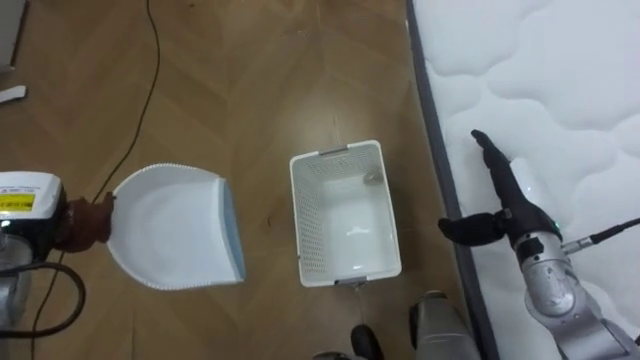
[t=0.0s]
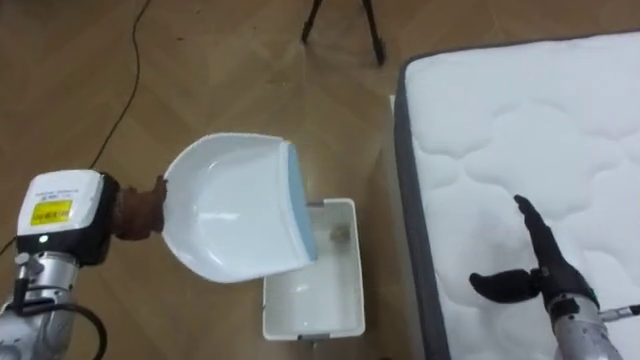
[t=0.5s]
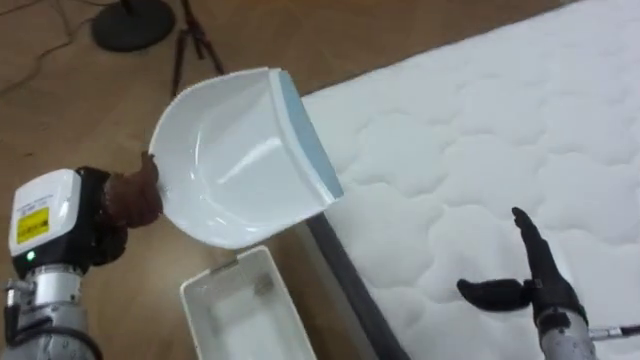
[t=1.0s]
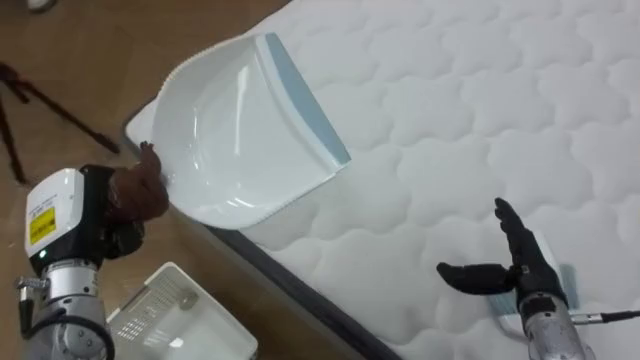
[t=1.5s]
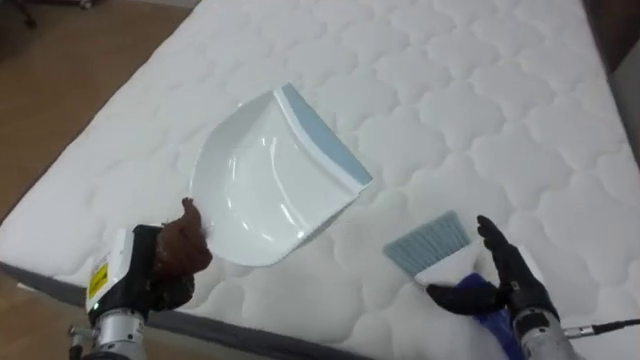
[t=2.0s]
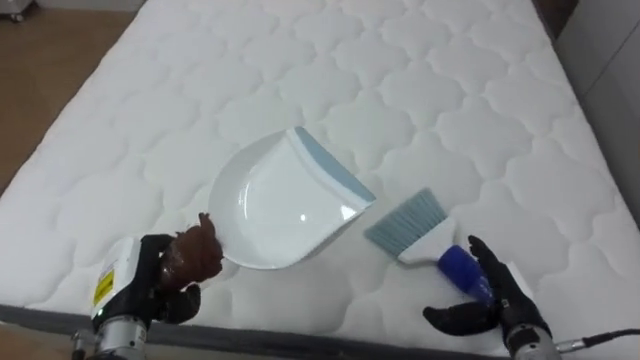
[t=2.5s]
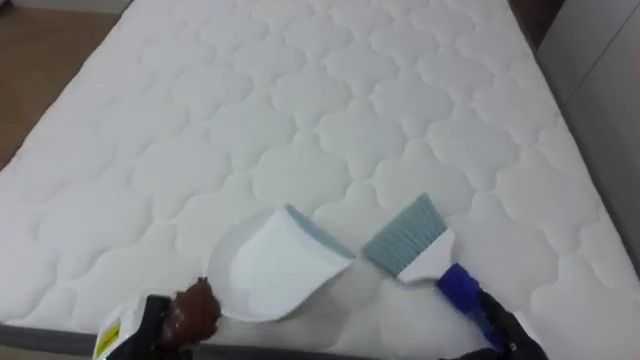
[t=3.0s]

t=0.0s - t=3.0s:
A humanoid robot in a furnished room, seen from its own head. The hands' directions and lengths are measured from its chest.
Task of the whole recording: Pick up the brush on your right and the dustpan on your left. Use the brush to sweep the crumpled paper on the bed into the dustpan, then turn left and empty it into the basket.
t=0.0s - t=1.5s: The robot rotates roughly 60 degrees to its right. The right hand is displaced backward and downward by approximately 10 cm. The left hand travels to the right by about 10 cm.
t=1.5s - t=3.0s: The robot turns to its right by about 30 degrees. The hands both shift downward and backward by some 15 cm.

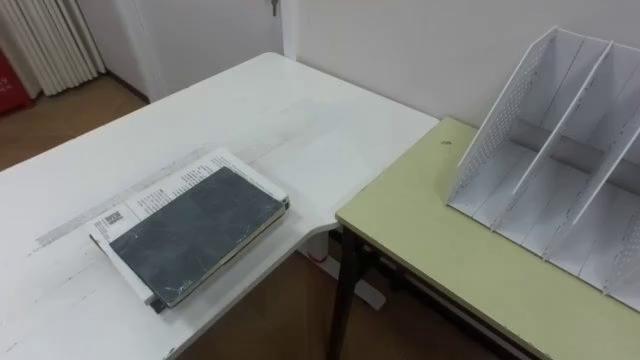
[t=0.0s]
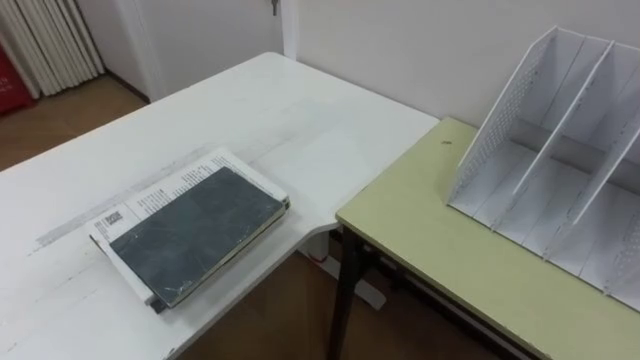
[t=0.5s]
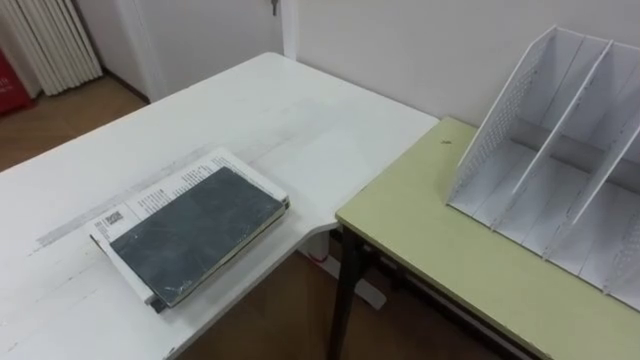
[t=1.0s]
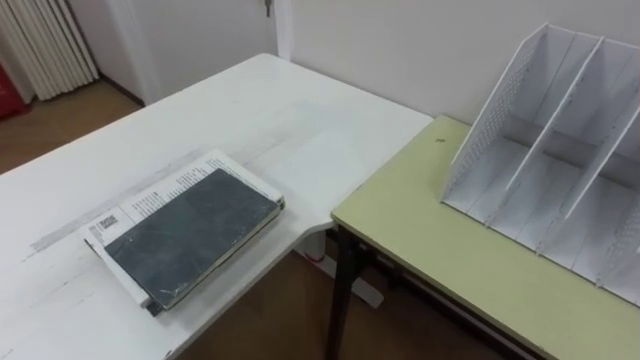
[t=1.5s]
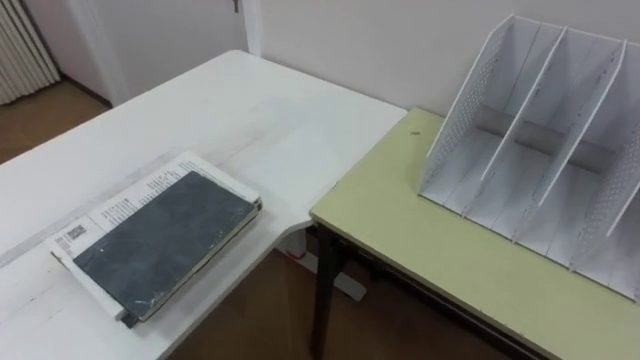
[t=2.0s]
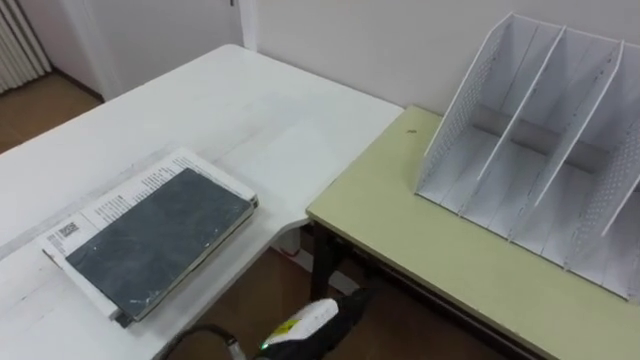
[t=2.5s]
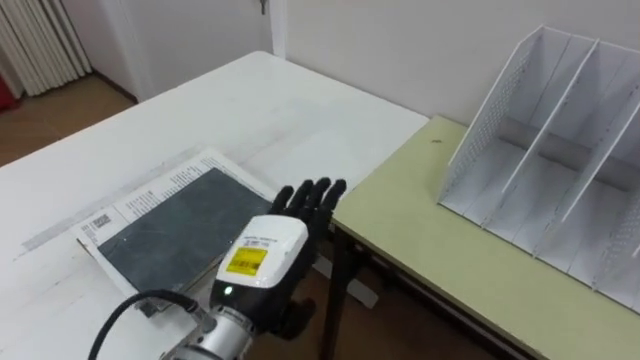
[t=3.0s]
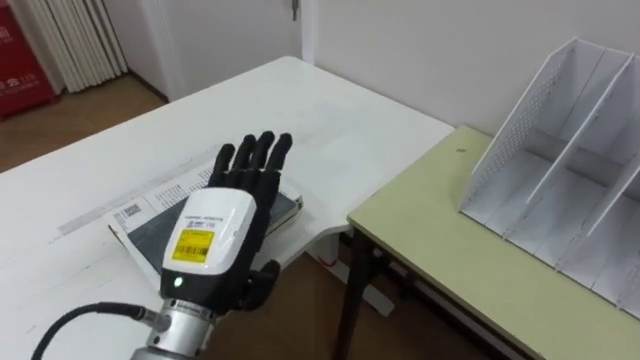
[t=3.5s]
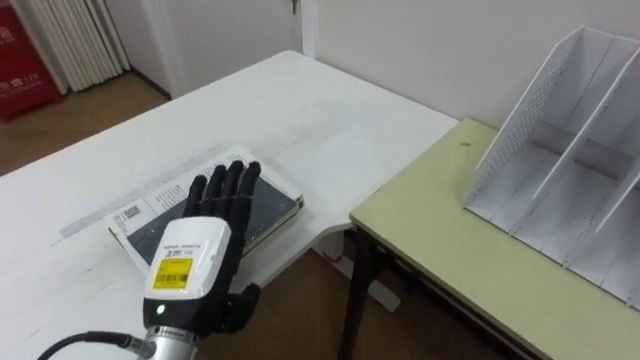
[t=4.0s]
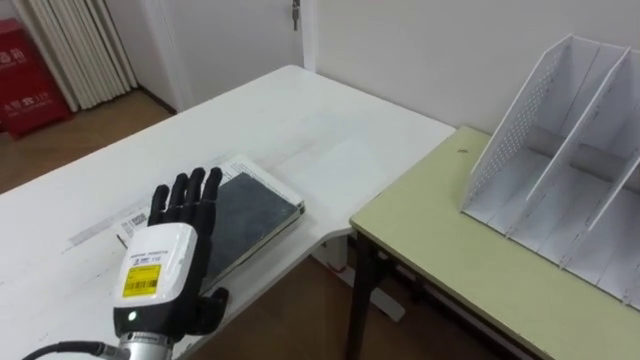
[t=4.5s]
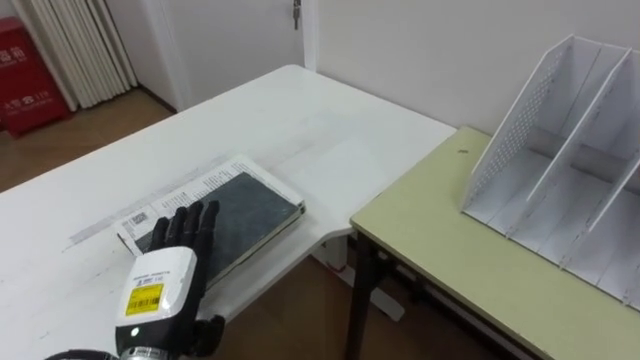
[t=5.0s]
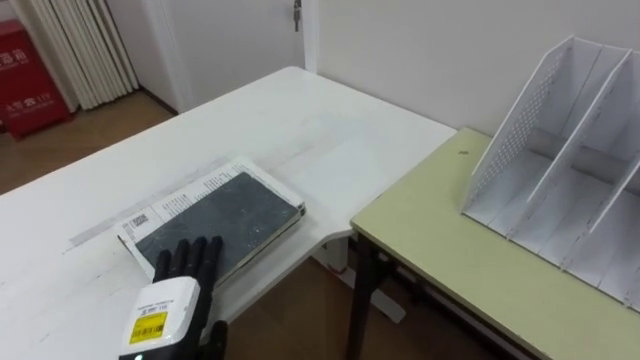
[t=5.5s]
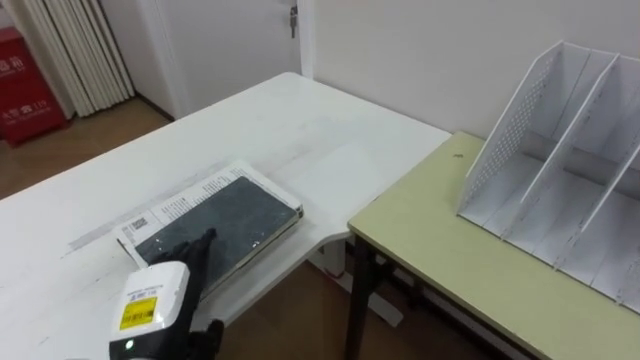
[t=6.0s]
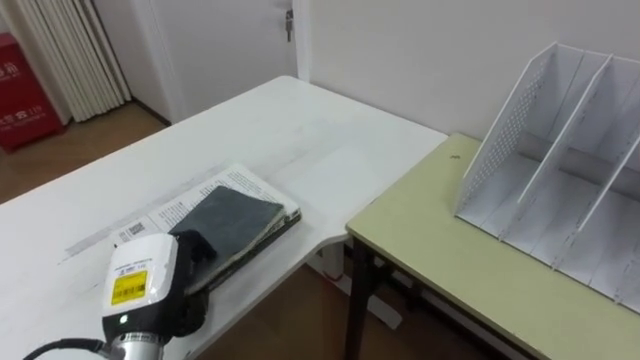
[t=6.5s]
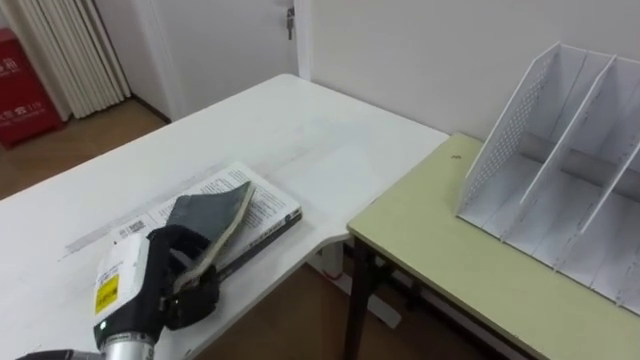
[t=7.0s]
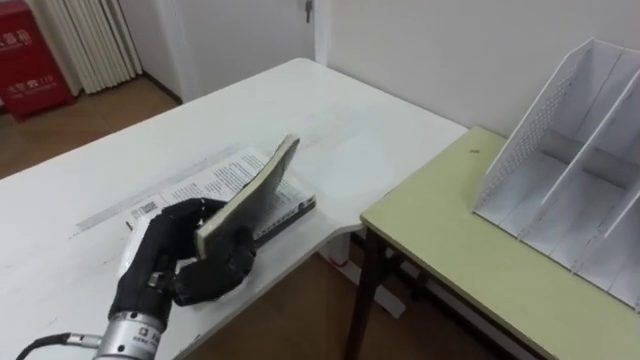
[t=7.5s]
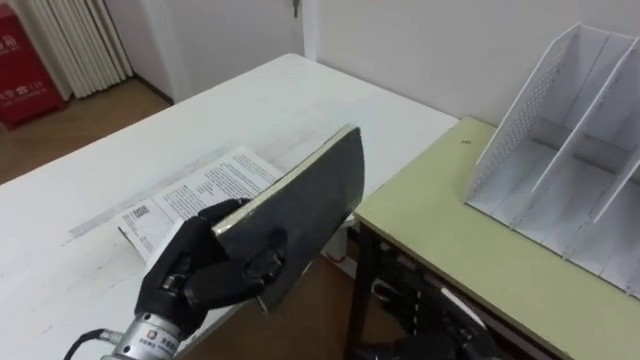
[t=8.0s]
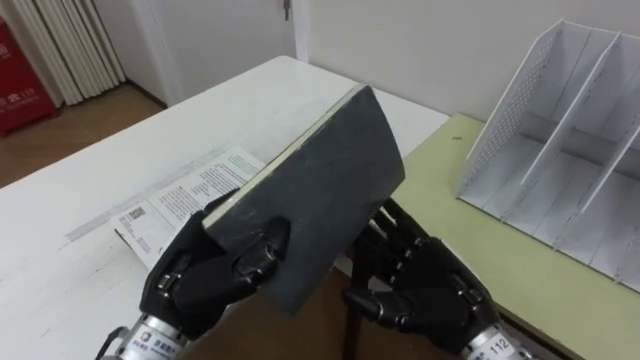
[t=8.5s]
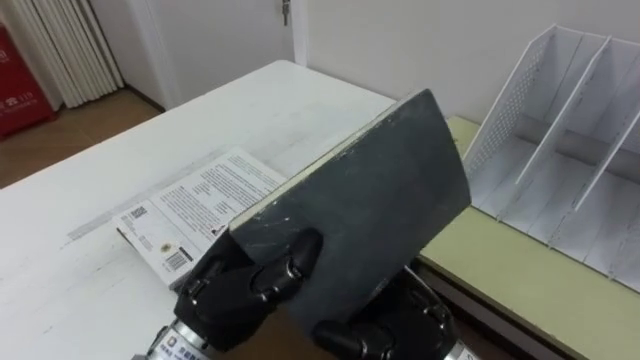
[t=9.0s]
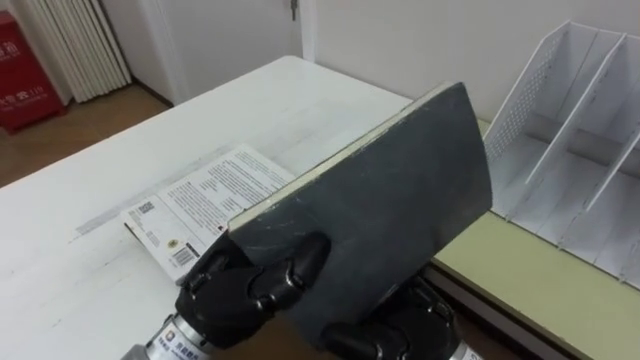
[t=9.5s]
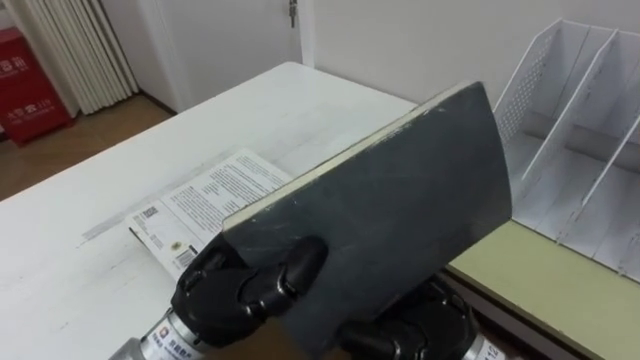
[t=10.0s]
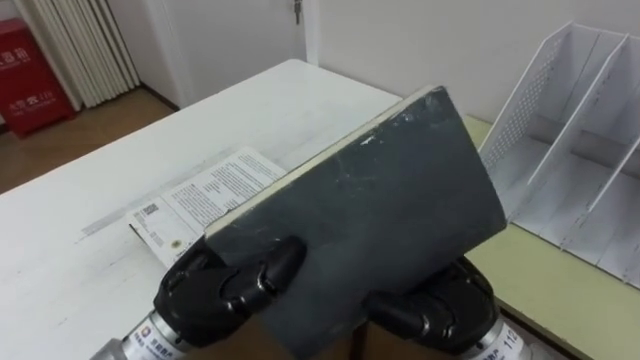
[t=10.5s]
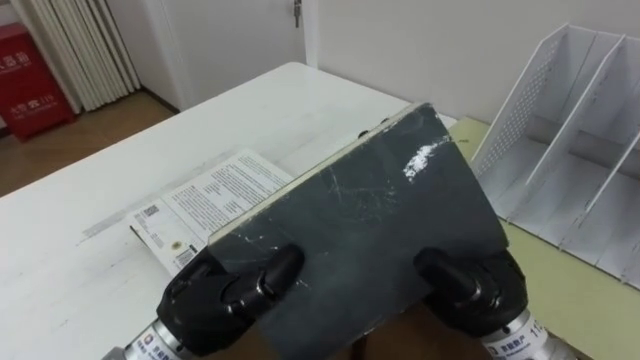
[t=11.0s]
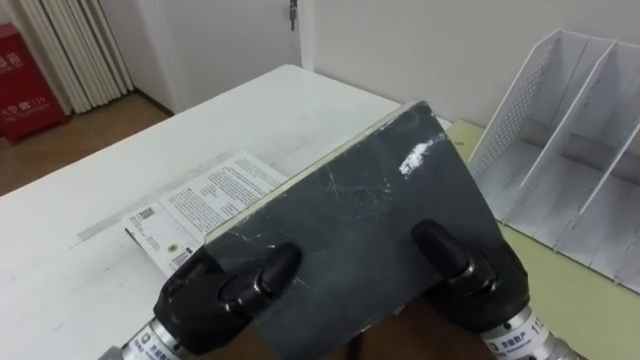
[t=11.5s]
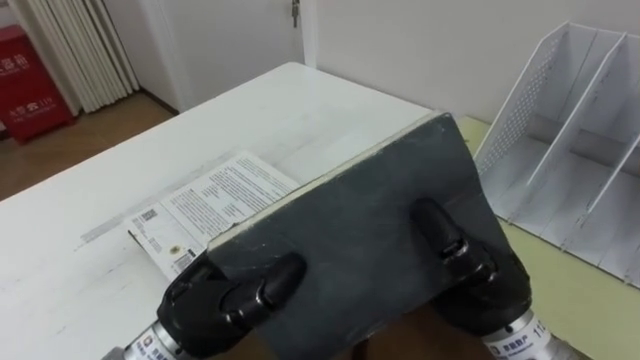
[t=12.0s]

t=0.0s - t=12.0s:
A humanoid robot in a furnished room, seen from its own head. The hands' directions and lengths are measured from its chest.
Task of the whole recording: Put the books on the table onto the bookshelf.
t=4.0s - t=6.0s: The left hand travels downward and to the left by some 10 cm.
t=6.0s - t=8.0s: The left hand shifts approximately 5 cm upward, and closes up.
t=8.0s - t=10.0s: The left hand goes approximately 10 cm to the right and upward, while the right hand is displaced upward and to the left by some 15 cm.
t=10.0s - t=12.0s: The right hand shifts by roughly 5 cm, and closes up.

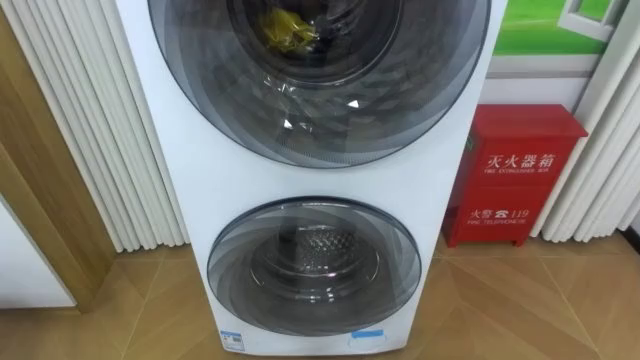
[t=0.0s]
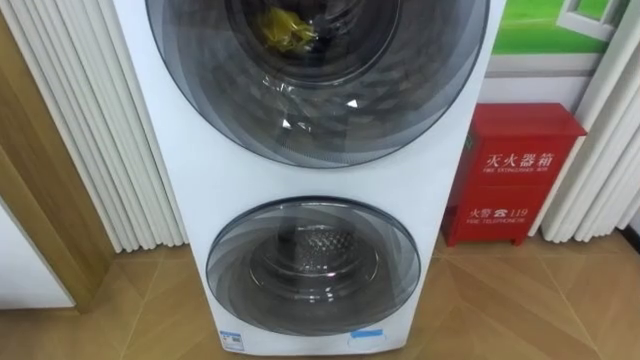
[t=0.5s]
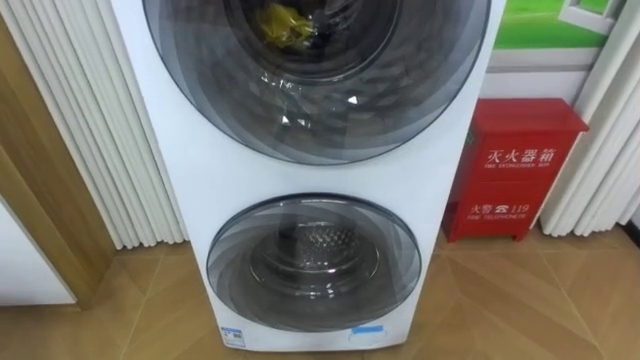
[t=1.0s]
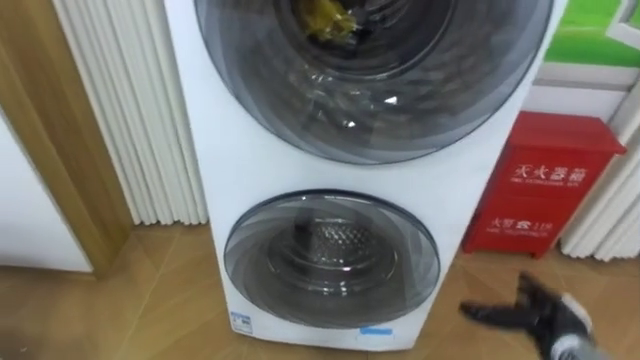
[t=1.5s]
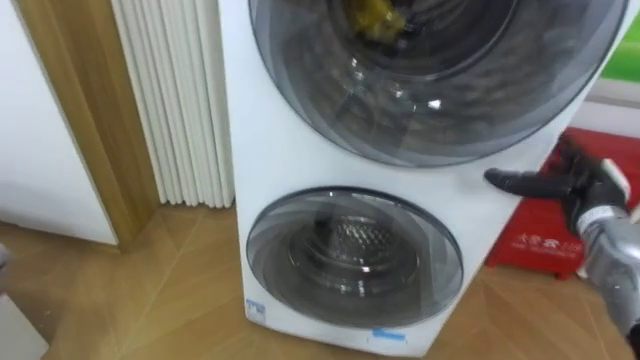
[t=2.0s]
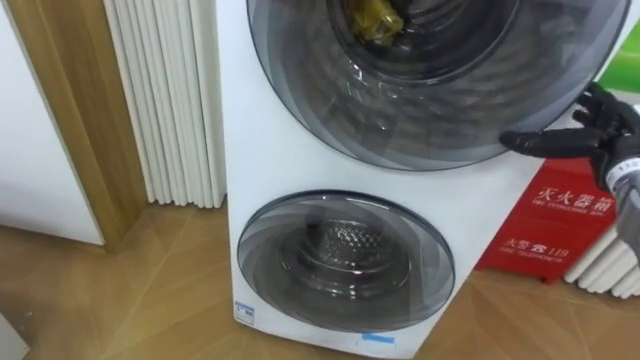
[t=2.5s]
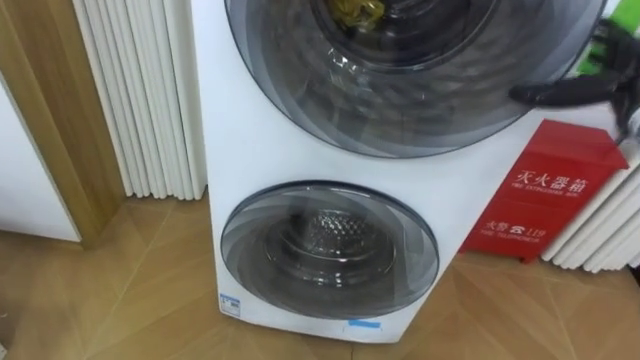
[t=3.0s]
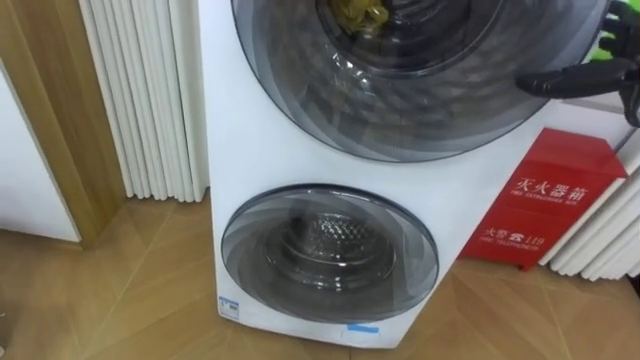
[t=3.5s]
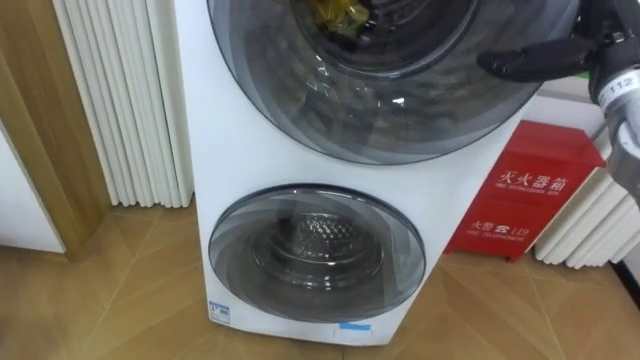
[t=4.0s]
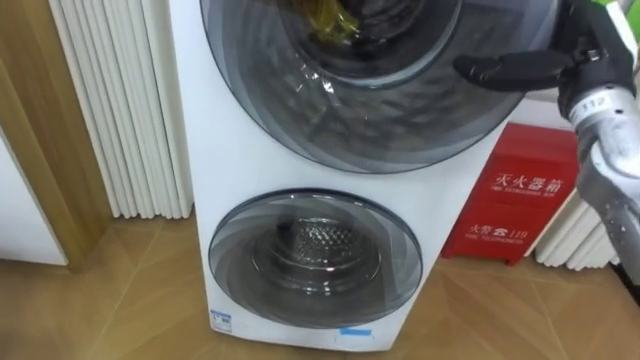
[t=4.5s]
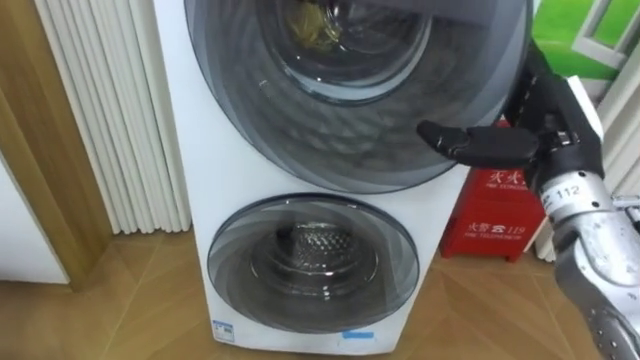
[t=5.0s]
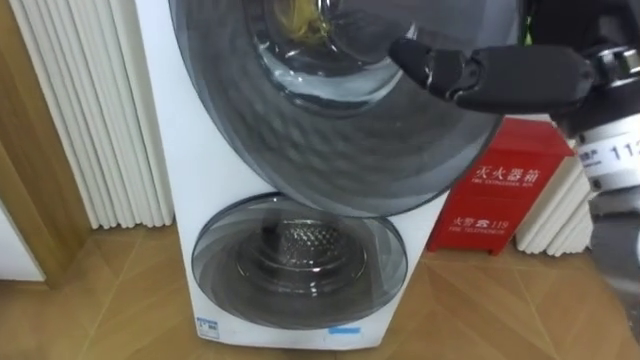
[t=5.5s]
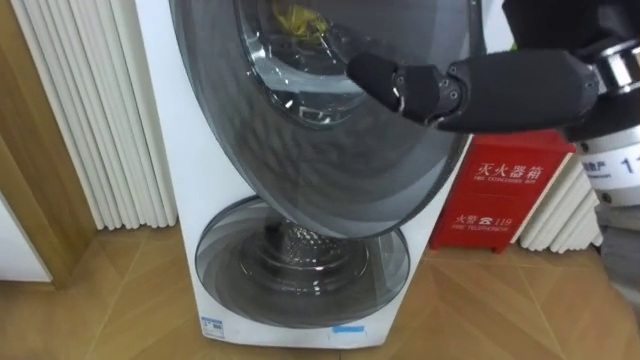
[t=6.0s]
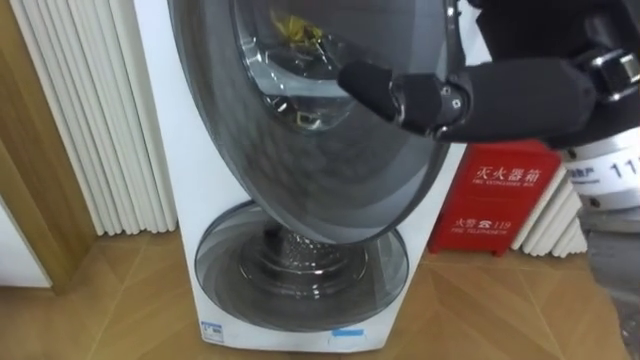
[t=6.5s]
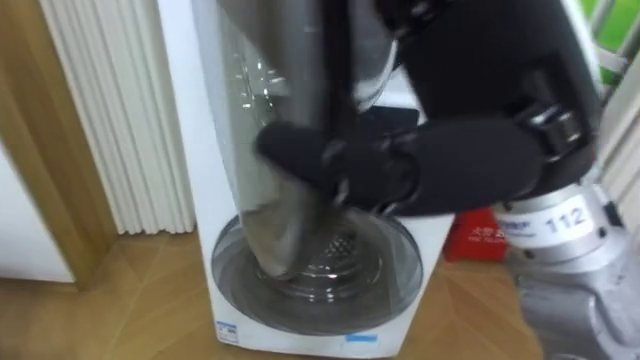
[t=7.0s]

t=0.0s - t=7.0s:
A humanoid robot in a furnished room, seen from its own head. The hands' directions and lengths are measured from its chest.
Task of the whole recording: Open the washing machine door, take out the yellow clothes, place them in the box on the right, and close the washing machine door.
t=2.0s - t=3.5s: The right hand is displaced upward by approximately 15 cm.
t=3.5s - t=5.0s: The right hand shifts roughly 15 cm to the left and backward.
t=5.0s - t=7.0s: The right hand heads to the left, upward and backward, covering about 20 cm.
